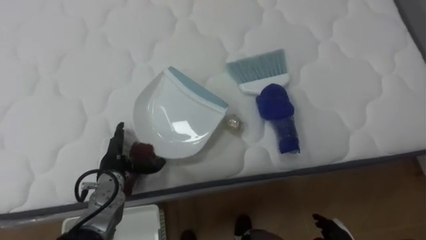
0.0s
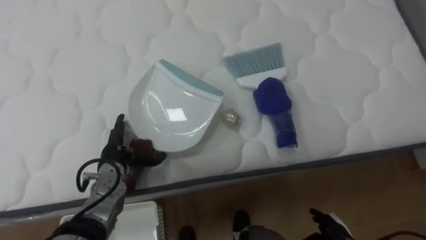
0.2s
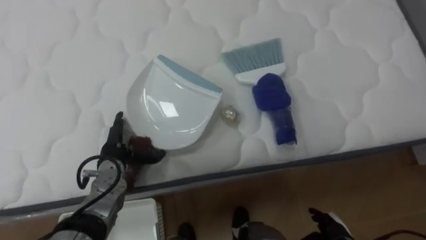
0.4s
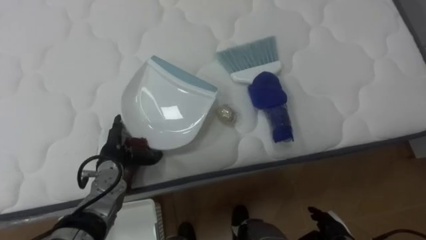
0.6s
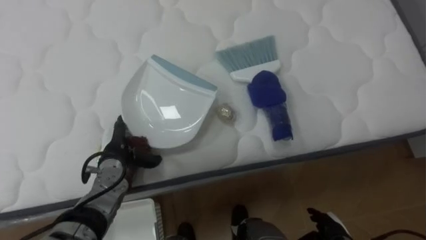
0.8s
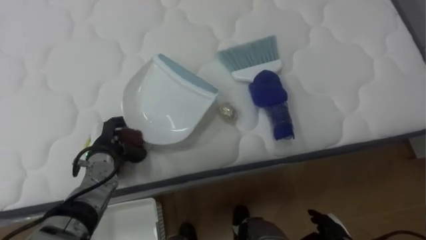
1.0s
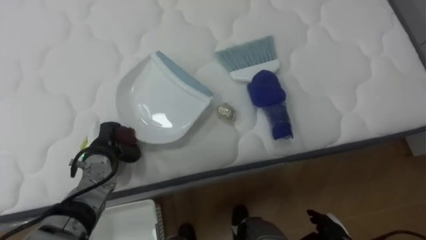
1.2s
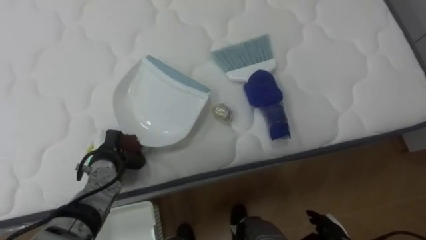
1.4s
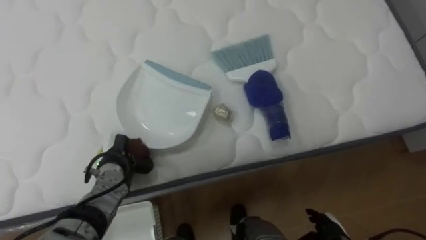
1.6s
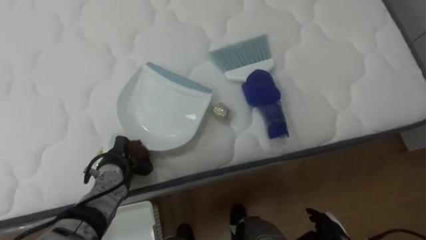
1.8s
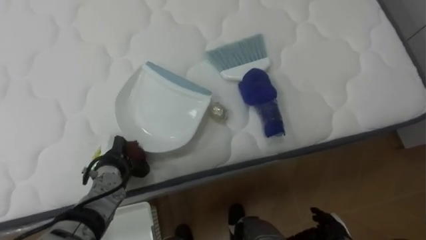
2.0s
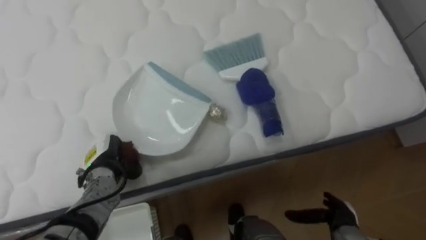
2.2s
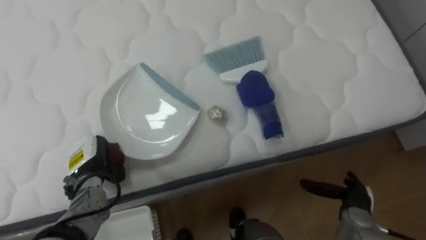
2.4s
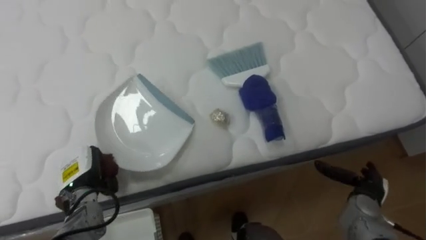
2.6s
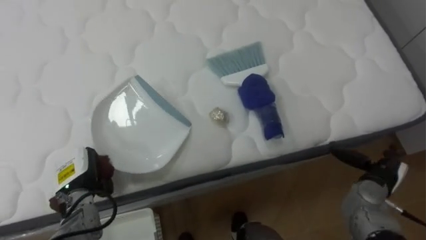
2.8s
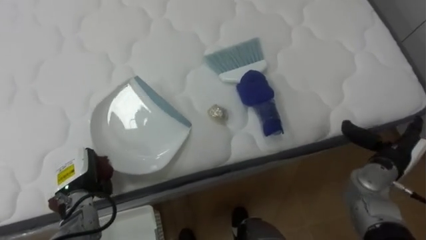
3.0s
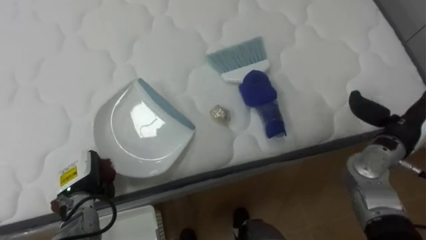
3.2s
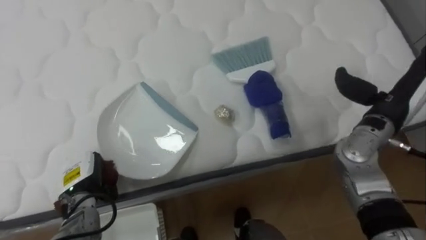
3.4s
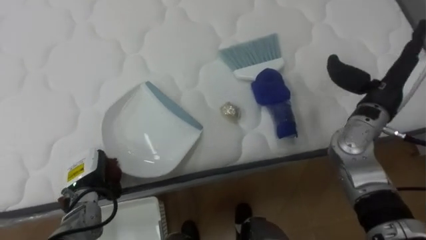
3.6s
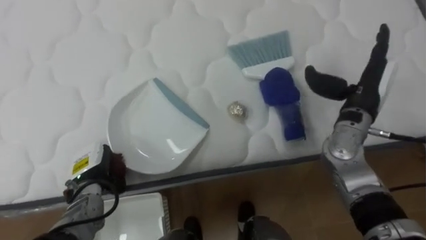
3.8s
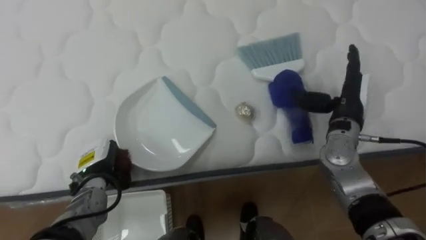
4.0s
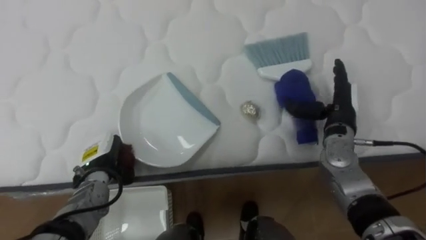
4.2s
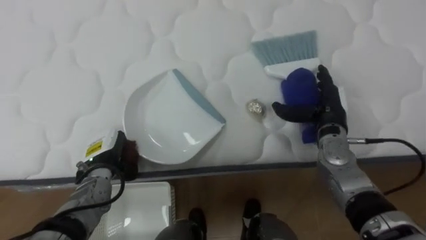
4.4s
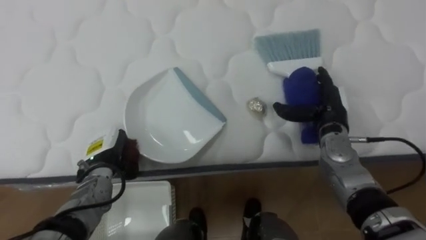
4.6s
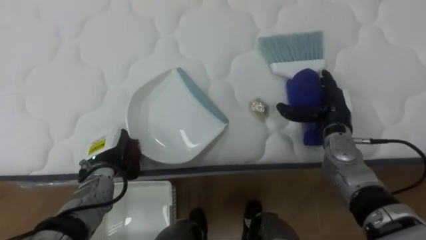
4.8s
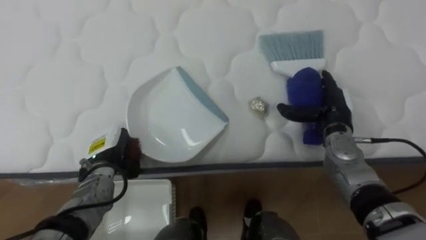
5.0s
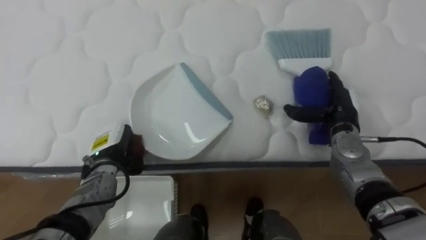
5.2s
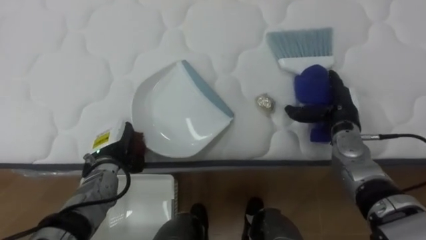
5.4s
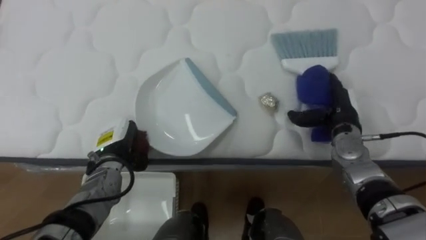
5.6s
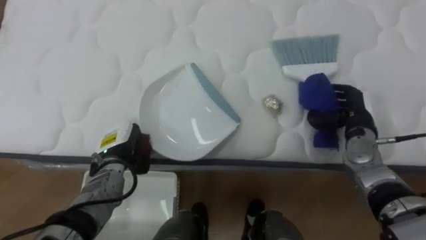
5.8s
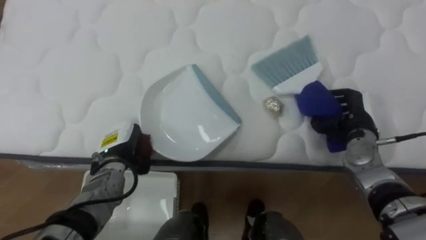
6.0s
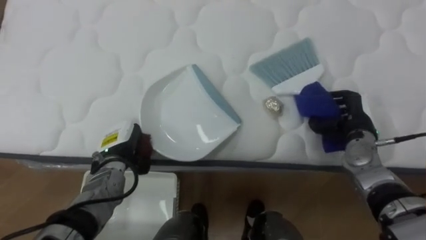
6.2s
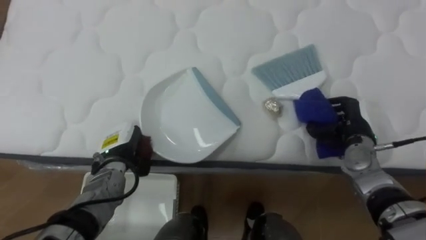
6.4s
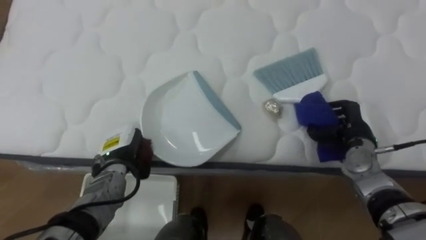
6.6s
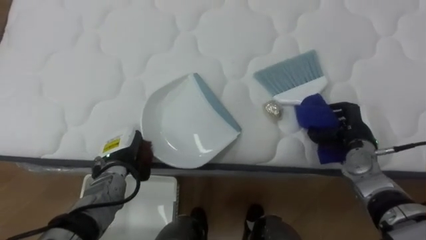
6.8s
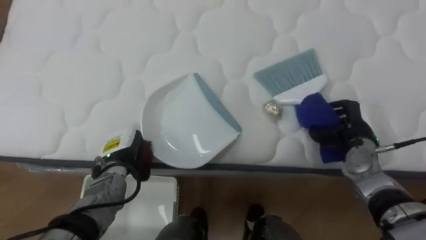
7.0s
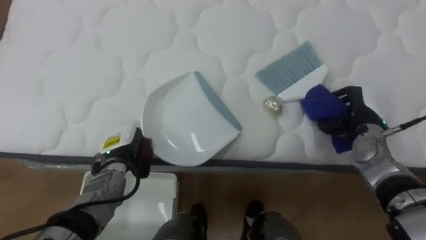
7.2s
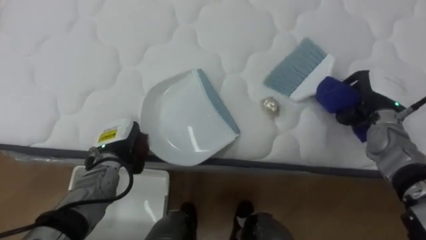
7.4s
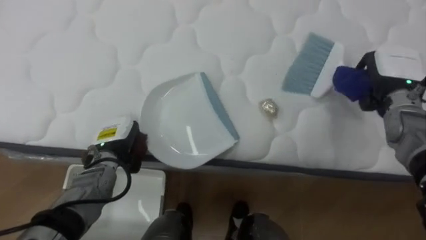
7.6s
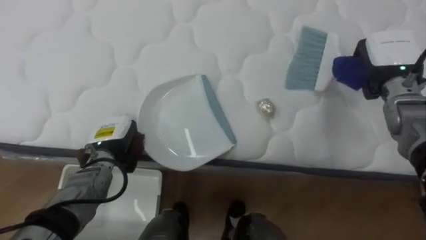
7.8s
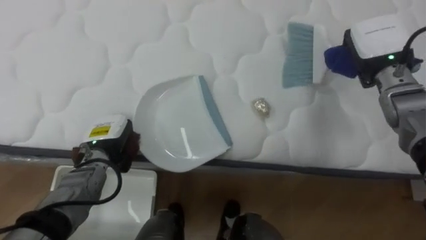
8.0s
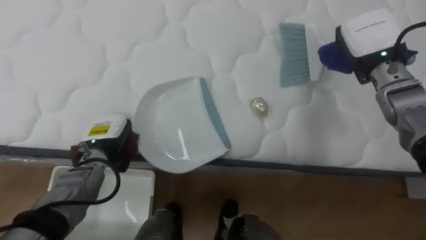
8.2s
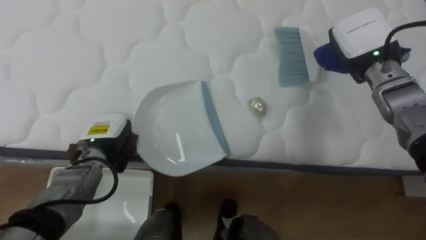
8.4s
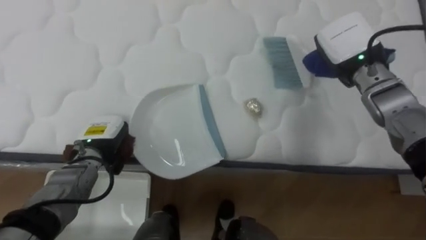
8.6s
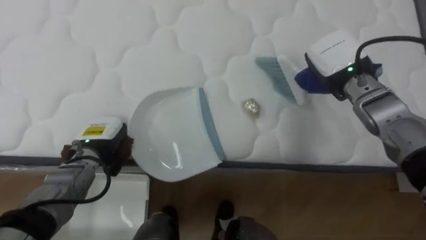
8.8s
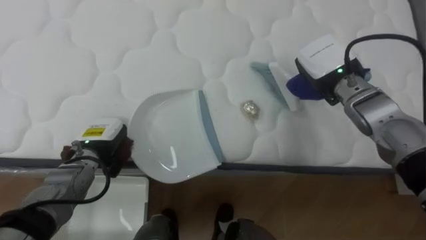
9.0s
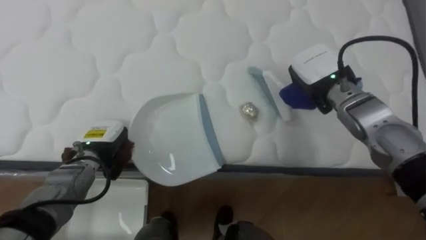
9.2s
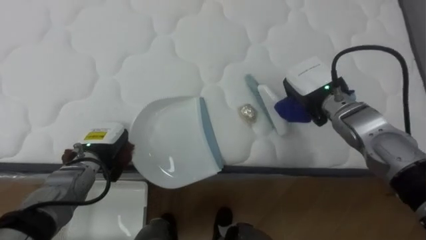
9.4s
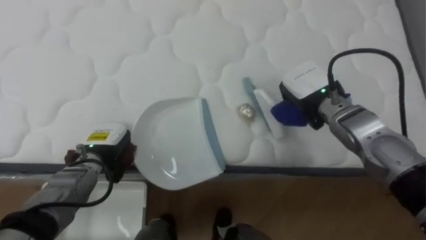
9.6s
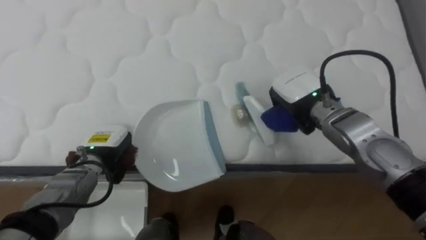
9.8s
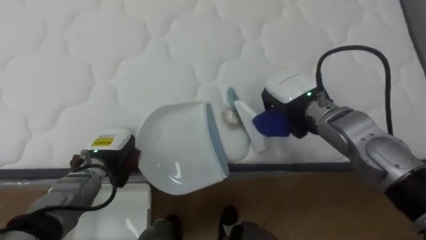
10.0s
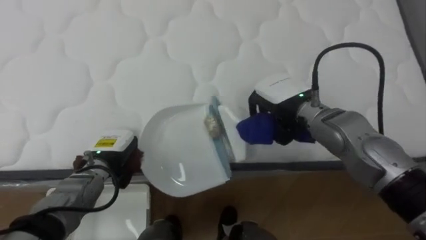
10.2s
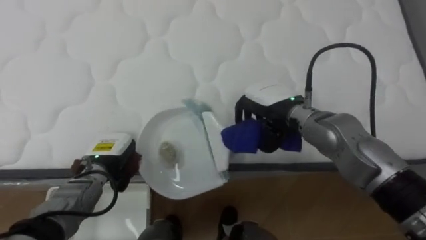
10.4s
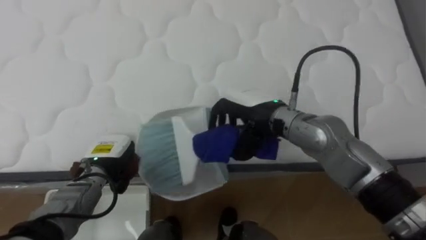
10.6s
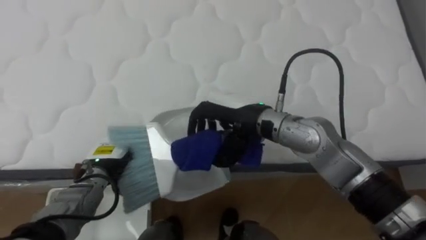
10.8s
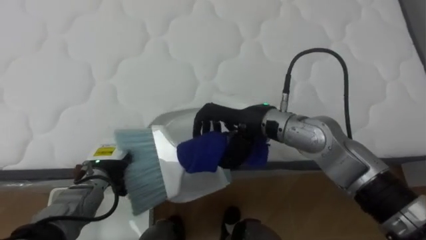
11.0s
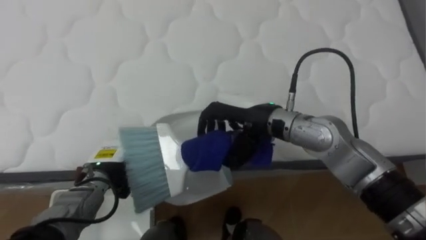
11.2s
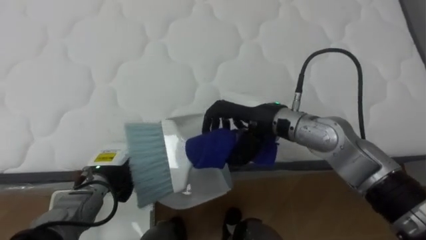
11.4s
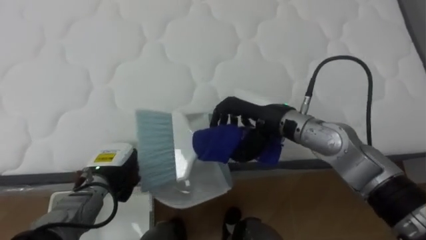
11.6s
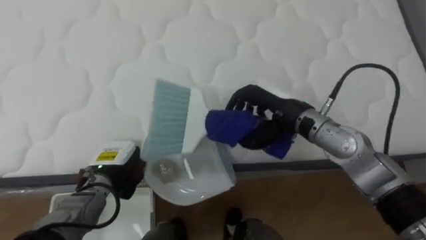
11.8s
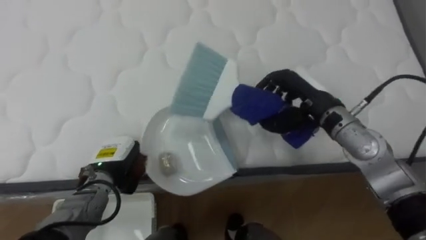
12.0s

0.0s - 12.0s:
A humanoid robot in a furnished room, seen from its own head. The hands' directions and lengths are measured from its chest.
Task of the whole recording: Pick up the brush on your right and the dustpan on your left. Use the brush to sweep the crumpled paper on the bed into the dustpan, then turn left and empty it into the basket.
0.0s - 1.6s: The left hand closes its fingers.
1.6s - 3.0s: The left hand travels to the left by about 5 cm. Meanwhile the right hand goes some 20 cm upward, forward and to the right.
3.0s - 4.4s: The left hand moves approximately 5 cm, while the right hand goes about 15 cm to the left and forward, and moves some 10 cm upward and comes back.
4.4s - 6.0s: The right hand shifts about 5 cm to the right, and closes.
6.0s - 7.6s: The right hand is displaced upward by about 10 cm.
7.6s - 9.0s: The right hand goes some 10 cm to the left.
9.0s - 10.4s: The right hand goes some 10 cm to the left and backward.
10.4s - 12.0s: The right hand moves to the right, about 5 cm.

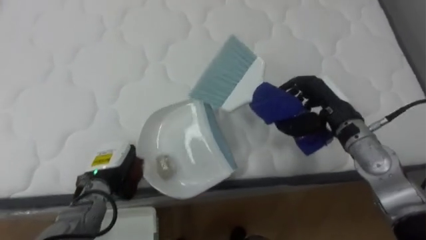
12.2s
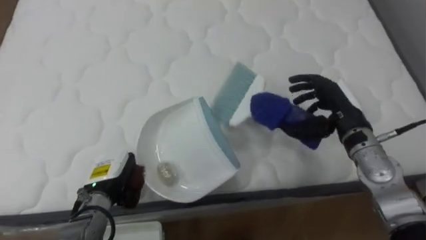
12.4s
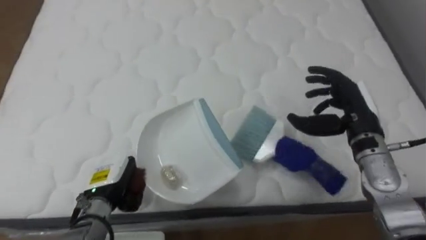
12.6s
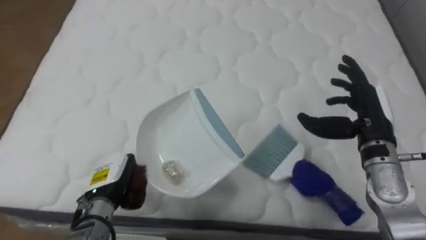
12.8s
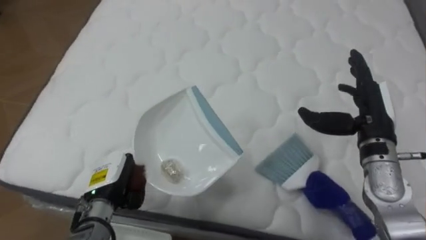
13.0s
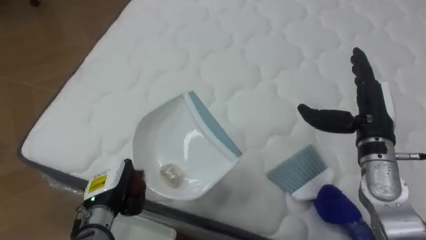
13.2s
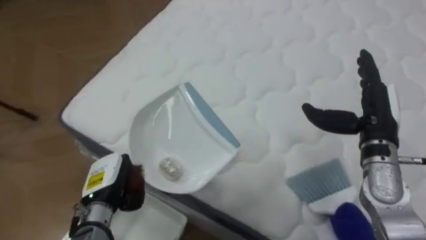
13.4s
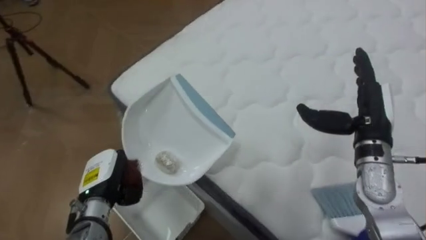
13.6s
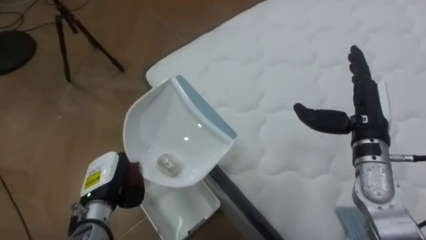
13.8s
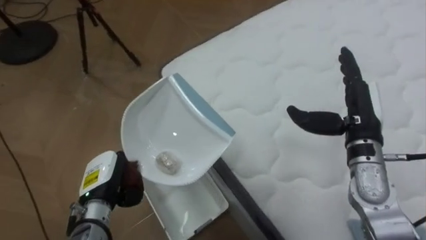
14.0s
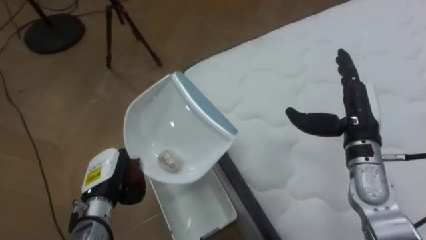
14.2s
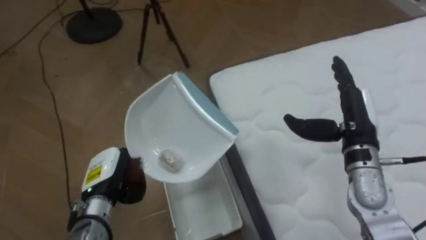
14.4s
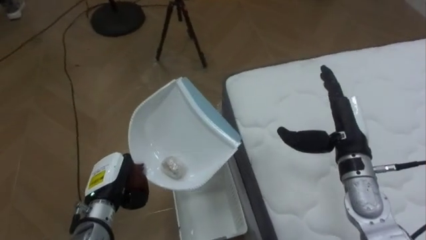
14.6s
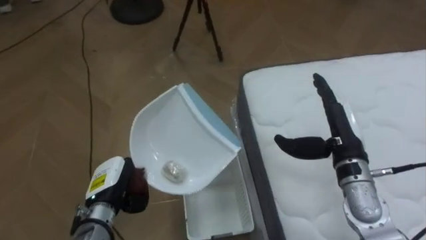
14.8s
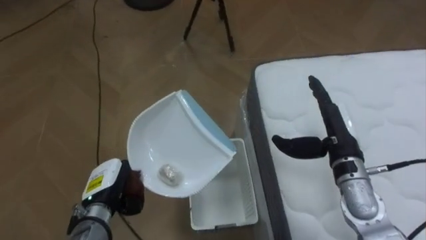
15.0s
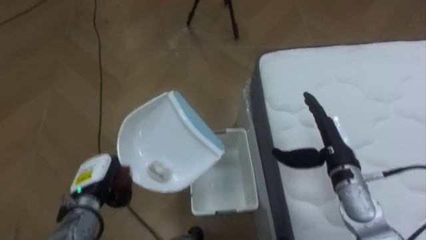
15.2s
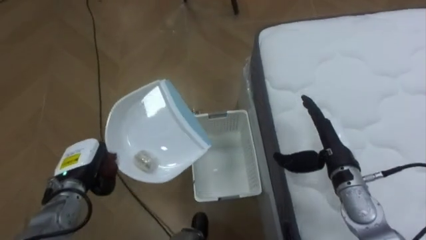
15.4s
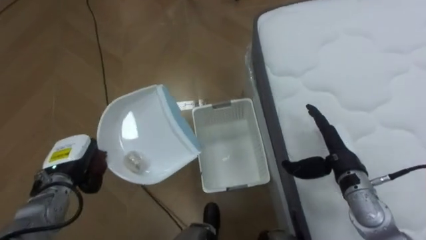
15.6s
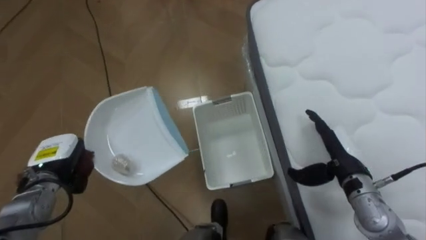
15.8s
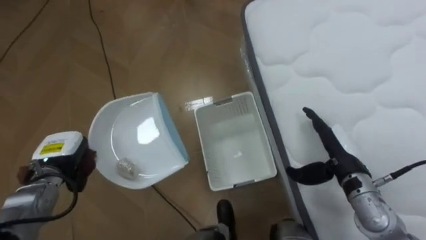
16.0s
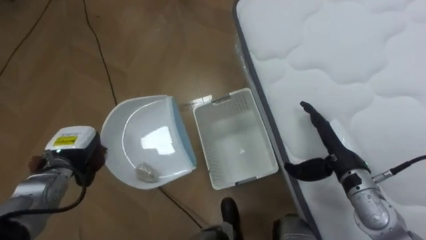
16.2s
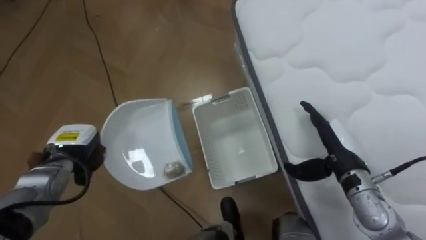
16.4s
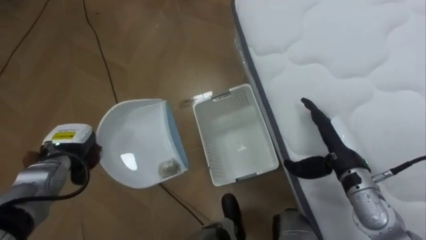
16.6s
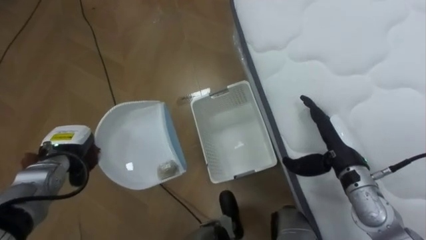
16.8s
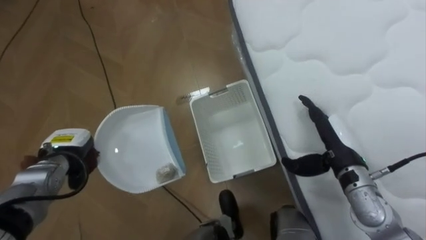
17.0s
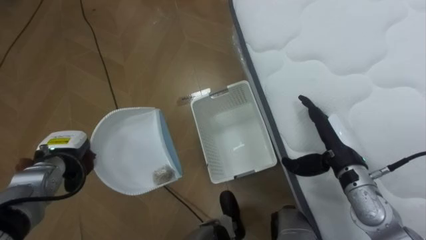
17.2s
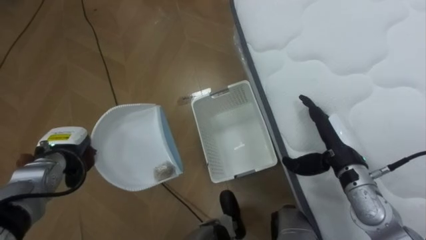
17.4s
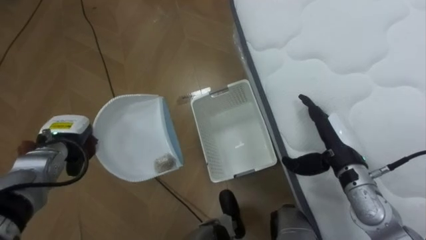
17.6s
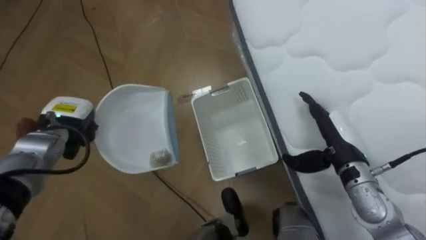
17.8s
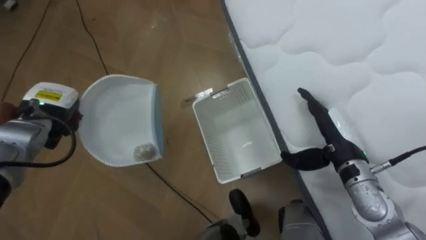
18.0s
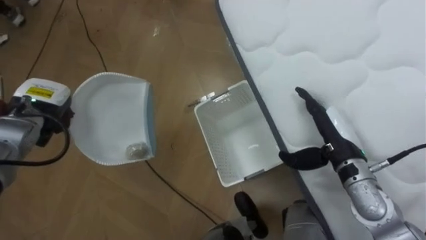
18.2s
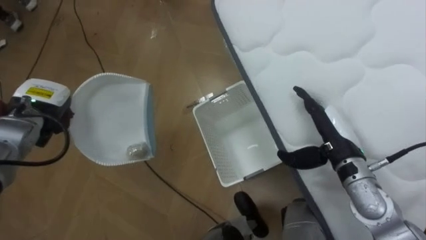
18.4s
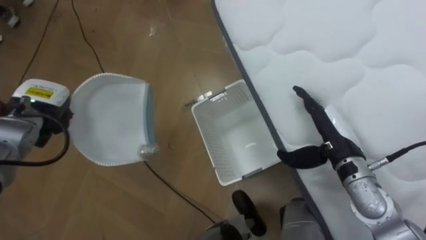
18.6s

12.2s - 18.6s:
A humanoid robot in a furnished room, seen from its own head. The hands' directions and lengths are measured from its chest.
Task of the whole recording: Pick up the brush on your right and the dustpan on your left. Use the brush to sweep the crumpled paper on the bed into the dustpan, then turn left and empty it into the basket.
12.2s - 13.8s: The robot rotates roughly 55 degrees to its left. The right hand moves some 5 cm, and opens.
13.8s - 15.4s: The robot turns to its left by about 35 degrees. The left hand ends up about 5 cm from where it was, while the right hand is displaced downward by about 10 cm.
17.0s - 18.6s: The left hand heads upward, covering some 10 cm.
